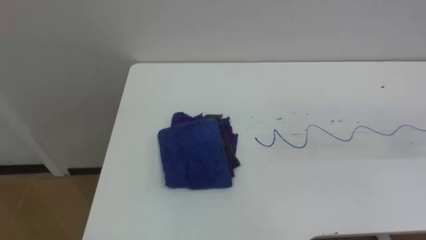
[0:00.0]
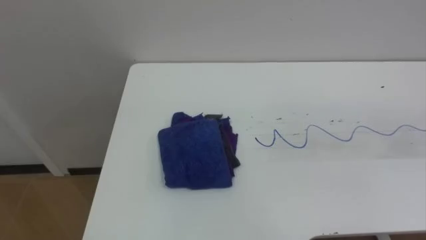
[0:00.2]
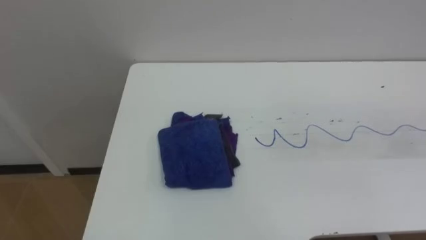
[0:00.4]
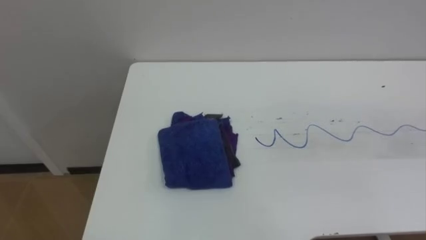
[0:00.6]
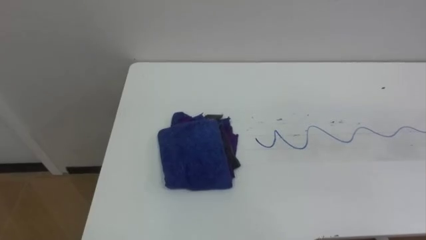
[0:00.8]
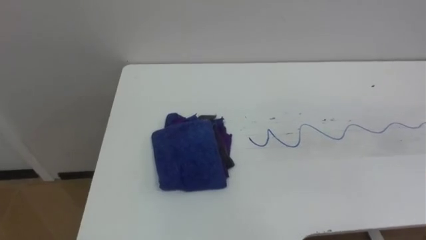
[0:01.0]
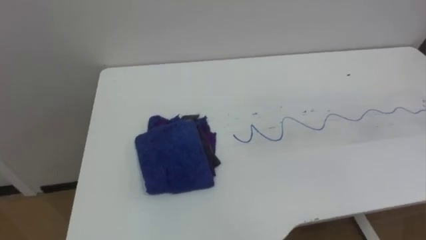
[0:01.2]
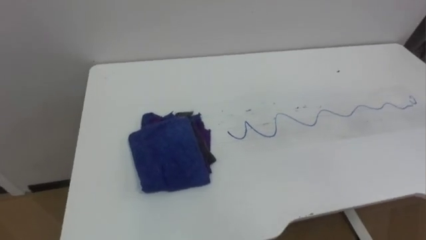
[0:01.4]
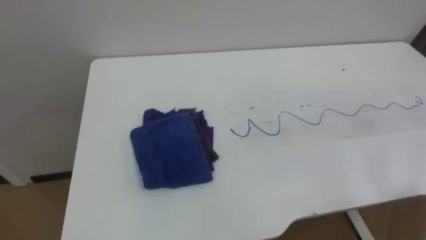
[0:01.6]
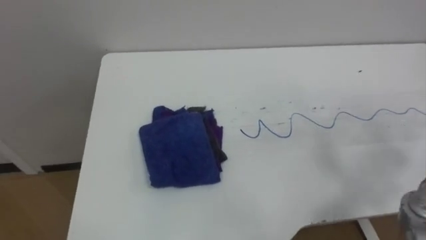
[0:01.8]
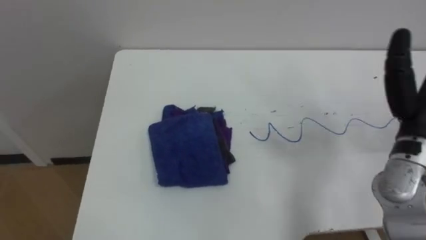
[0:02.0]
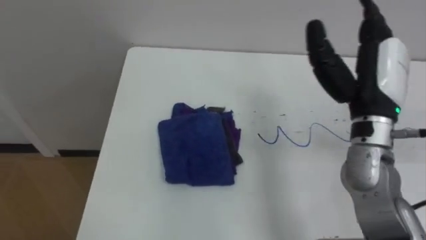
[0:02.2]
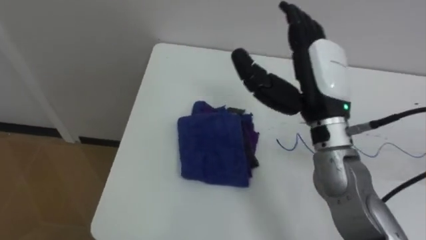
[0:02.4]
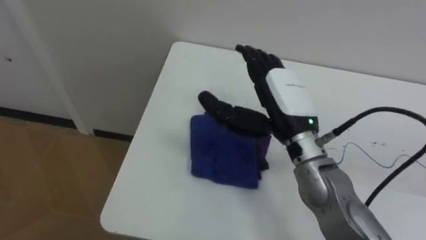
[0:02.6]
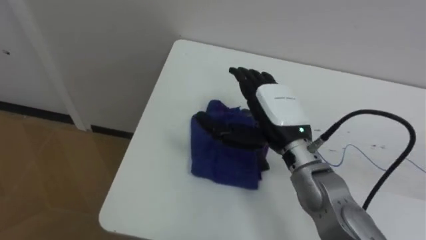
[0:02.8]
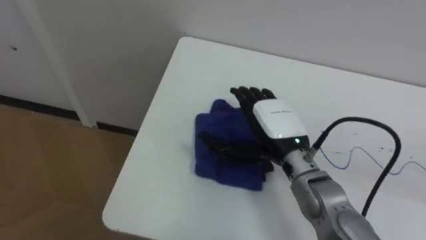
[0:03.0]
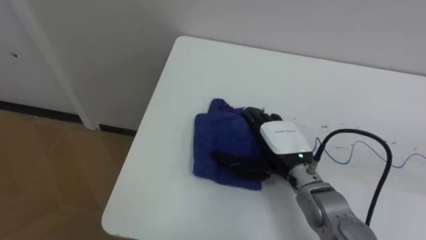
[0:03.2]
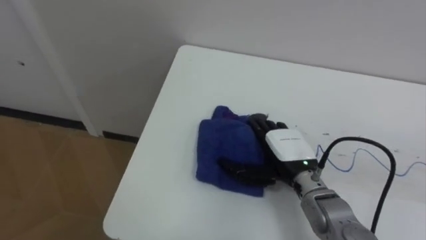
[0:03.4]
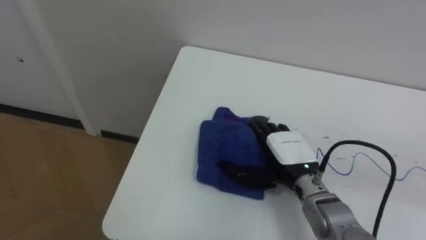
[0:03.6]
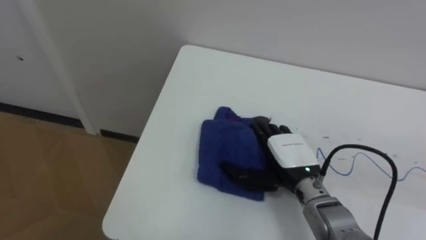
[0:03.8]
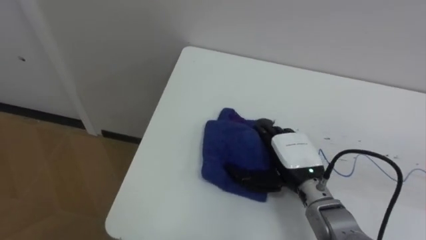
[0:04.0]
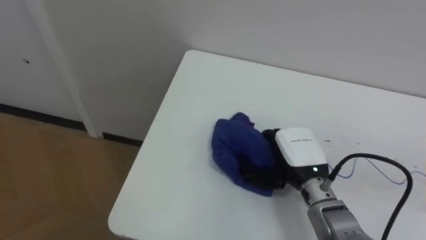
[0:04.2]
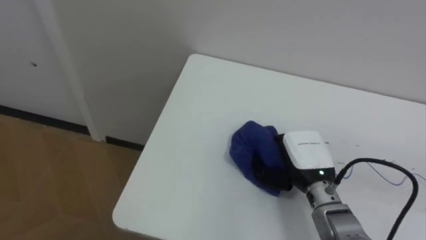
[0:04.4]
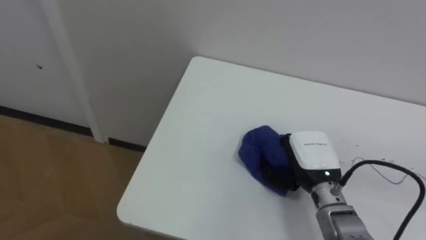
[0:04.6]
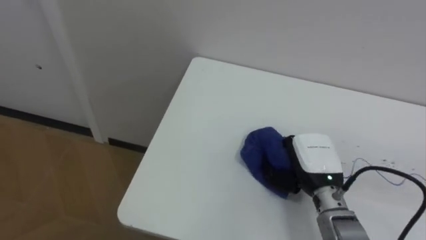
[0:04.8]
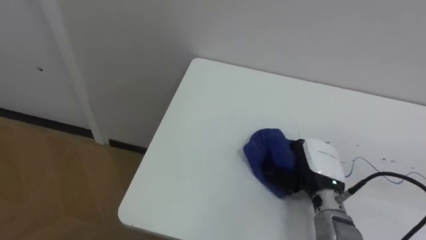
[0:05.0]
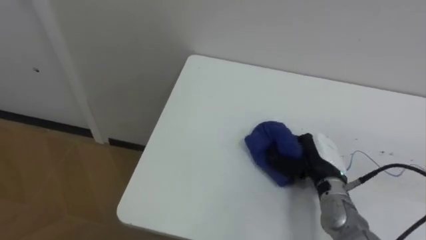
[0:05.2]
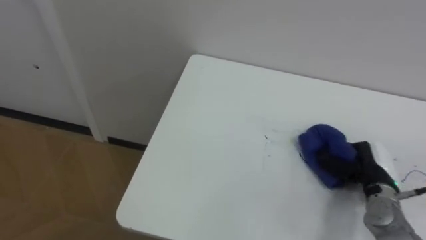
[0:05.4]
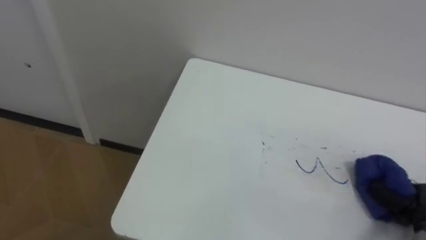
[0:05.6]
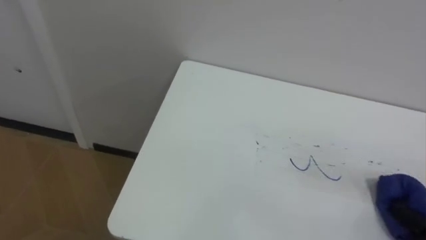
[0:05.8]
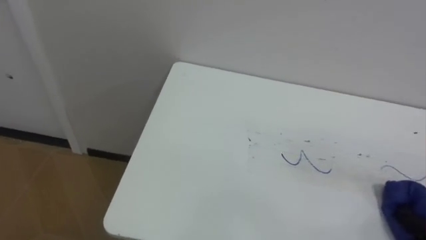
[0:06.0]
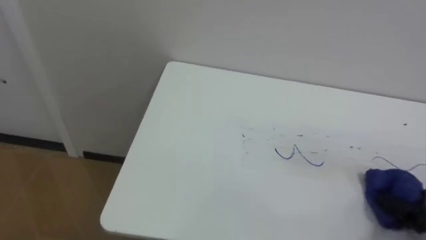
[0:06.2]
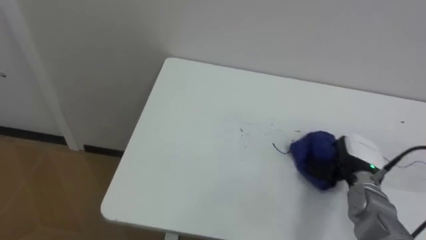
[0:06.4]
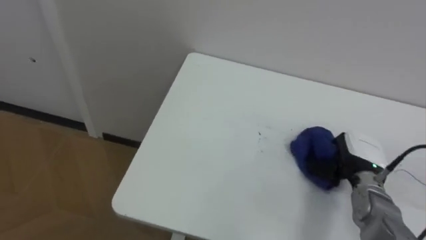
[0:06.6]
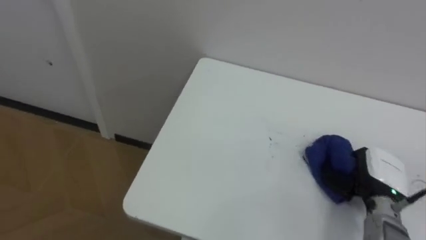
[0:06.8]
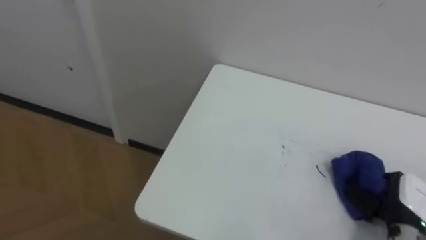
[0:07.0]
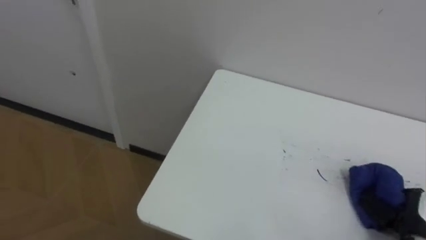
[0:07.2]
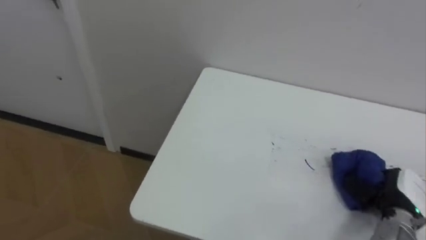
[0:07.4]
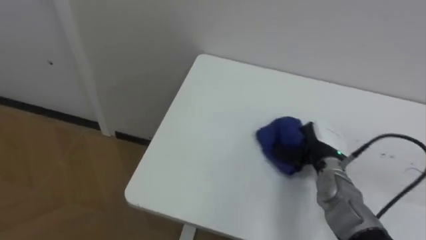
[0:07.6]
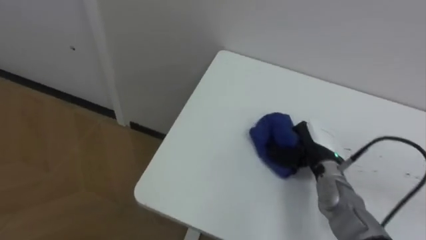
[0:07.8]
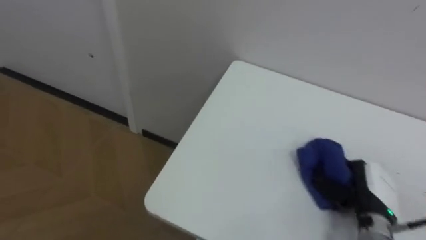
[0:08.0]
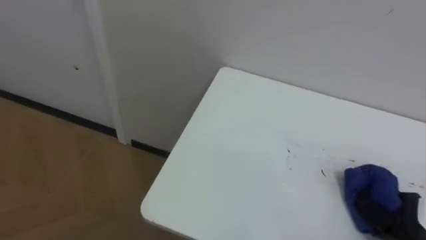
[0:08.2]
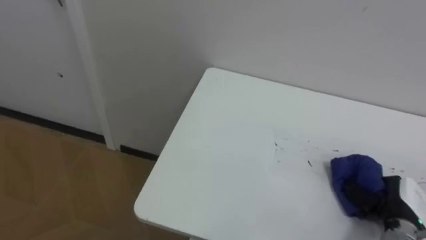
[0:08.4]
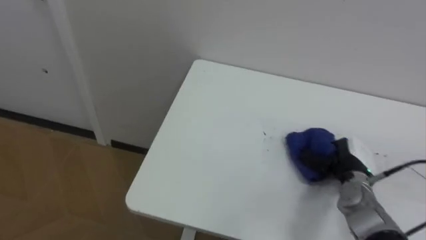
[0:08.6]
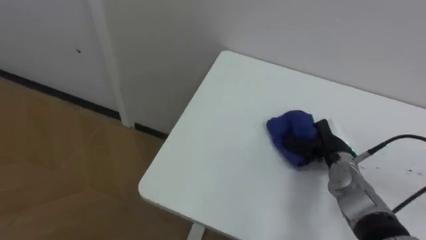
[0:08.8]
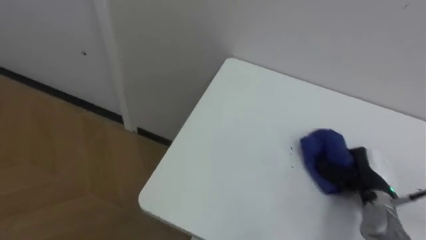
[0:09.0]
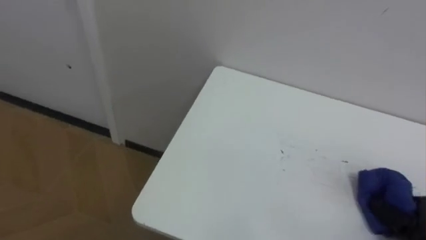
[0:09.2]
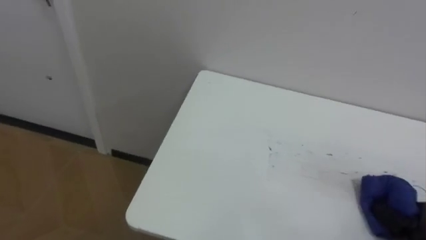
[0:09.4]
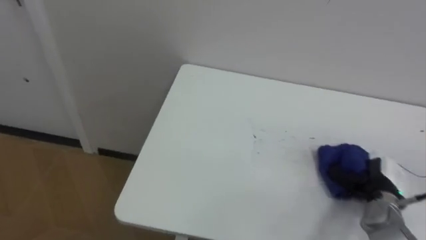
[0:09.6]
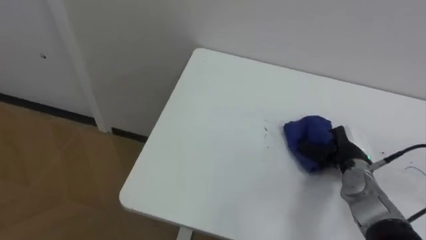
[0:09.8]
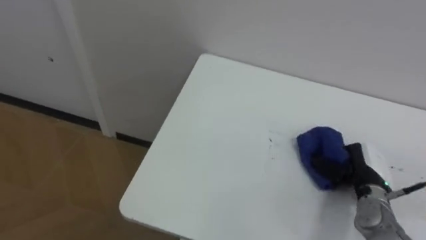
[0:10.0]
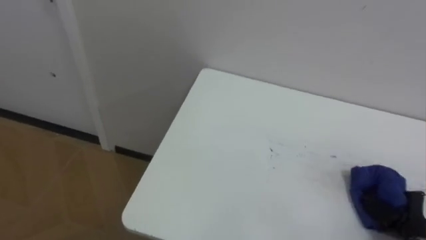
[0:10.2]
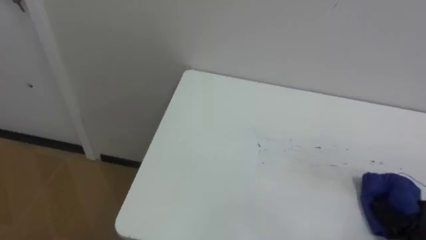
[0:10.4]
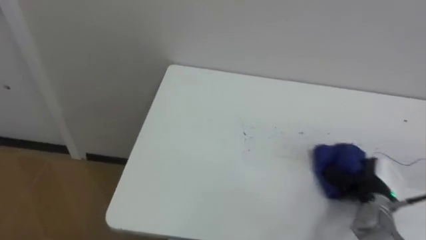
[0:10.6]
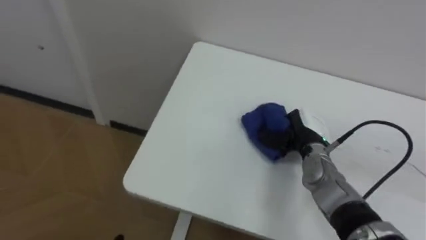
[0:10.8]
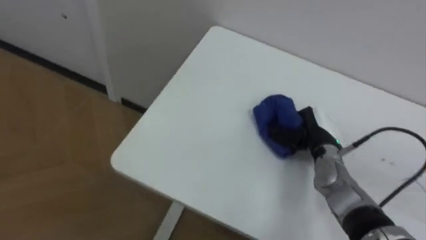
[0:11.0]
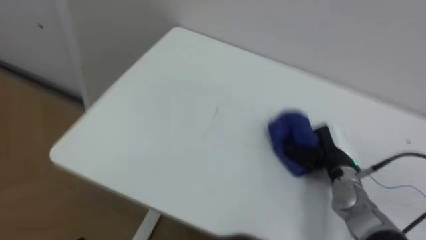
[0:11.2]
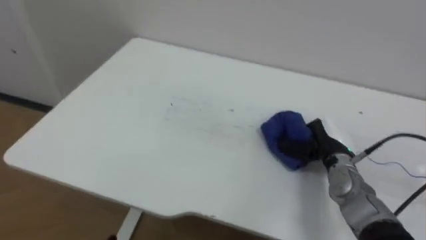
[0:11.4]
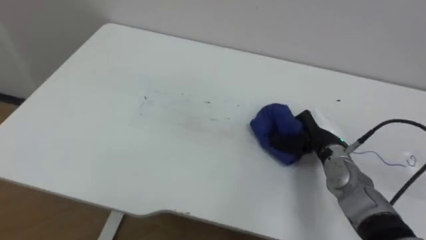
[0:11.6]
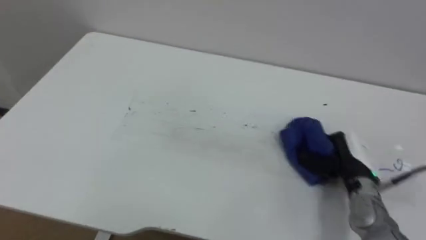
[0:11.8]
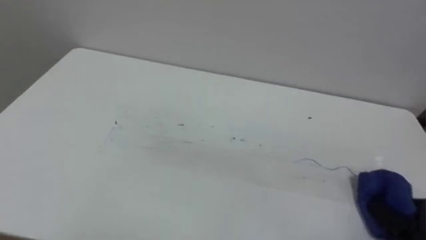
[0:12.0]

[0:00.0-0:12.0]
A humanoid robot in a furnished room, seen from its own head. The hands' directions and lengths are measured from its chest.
Task of the whole recording: Wipe the blue pen marks off the table with the rag.
0:03.0 to 0:04.4: The right hand travels downward and to the right by roughly 10 cm, and closes up.
0:07.6 to 0:09.0: The right hand moves forward and backward over roughly 20 cm, changing direction 2 times.
0:10.4 to 0:12.0: The right hand moves approximately 20 cm to the left and comes back.

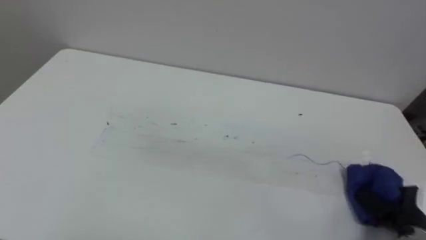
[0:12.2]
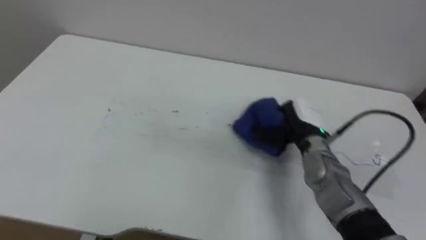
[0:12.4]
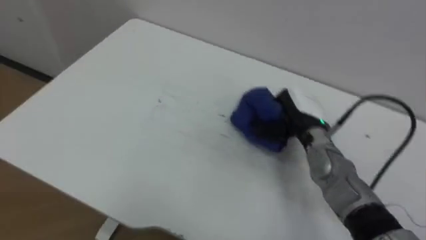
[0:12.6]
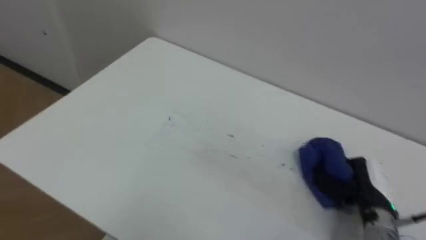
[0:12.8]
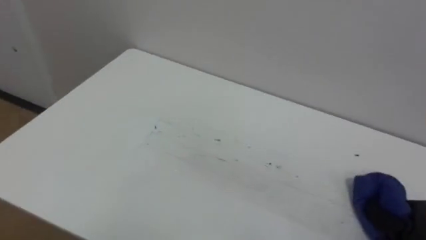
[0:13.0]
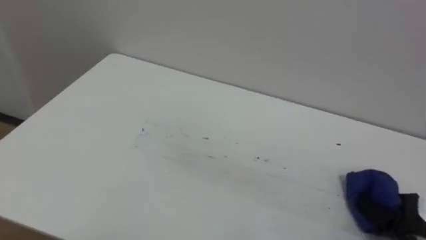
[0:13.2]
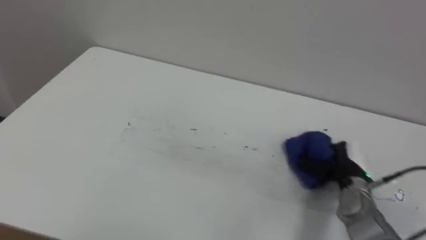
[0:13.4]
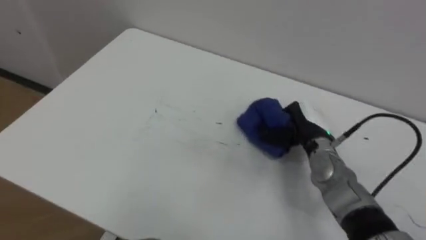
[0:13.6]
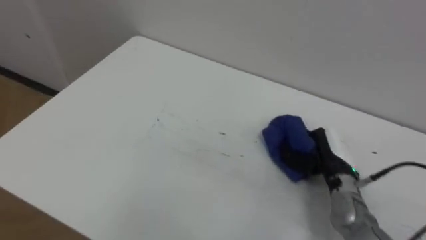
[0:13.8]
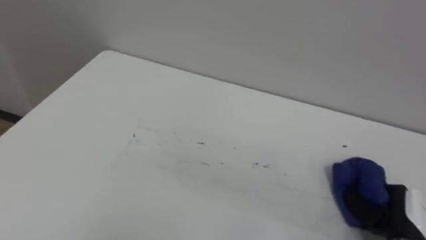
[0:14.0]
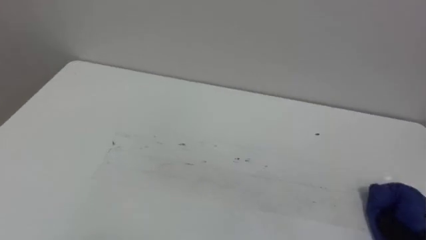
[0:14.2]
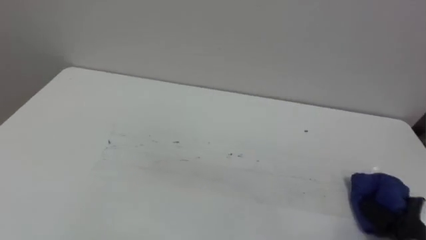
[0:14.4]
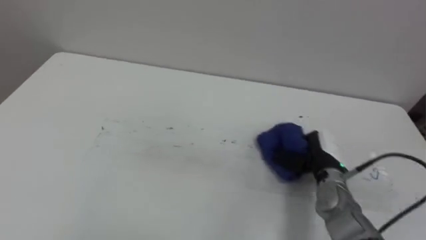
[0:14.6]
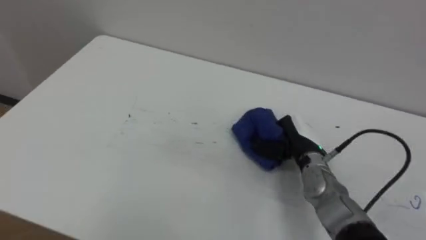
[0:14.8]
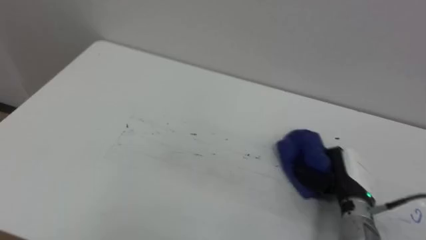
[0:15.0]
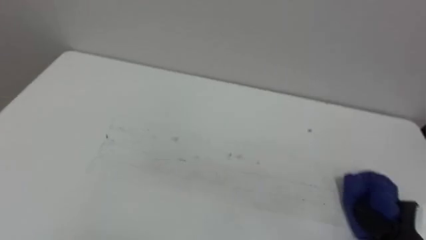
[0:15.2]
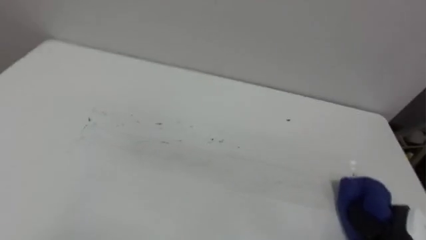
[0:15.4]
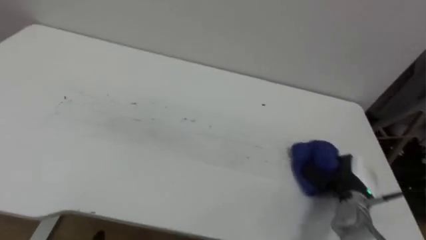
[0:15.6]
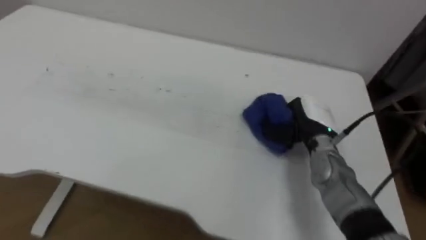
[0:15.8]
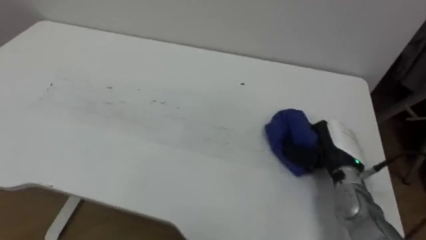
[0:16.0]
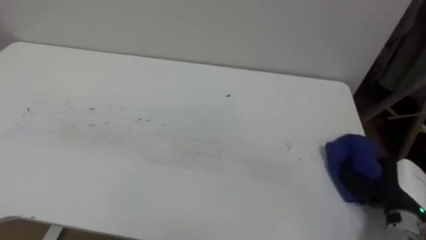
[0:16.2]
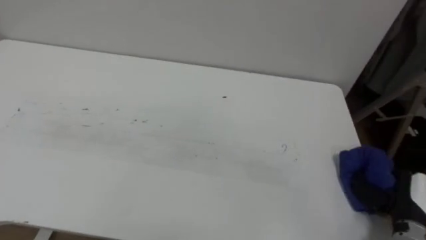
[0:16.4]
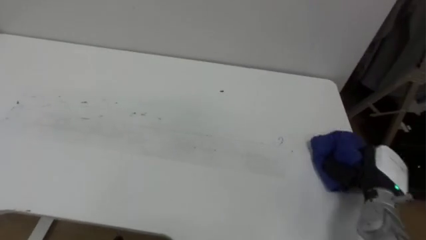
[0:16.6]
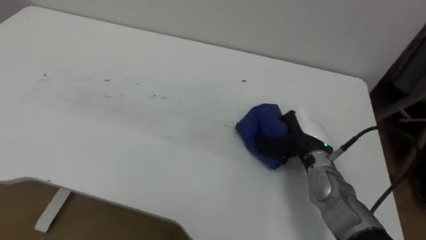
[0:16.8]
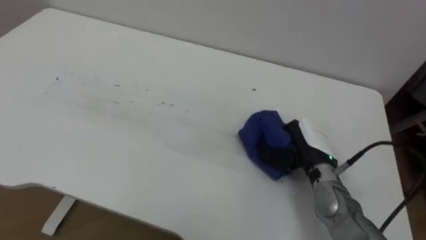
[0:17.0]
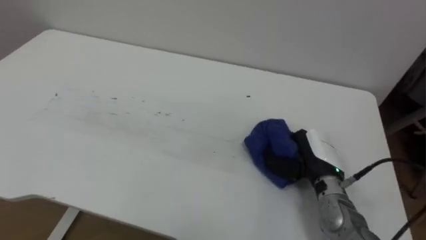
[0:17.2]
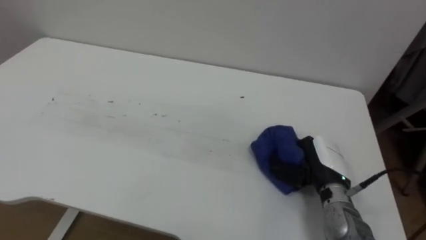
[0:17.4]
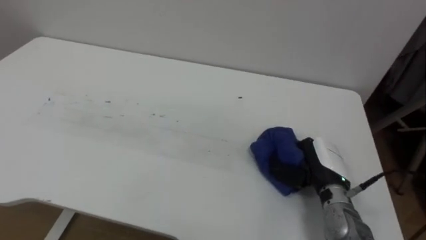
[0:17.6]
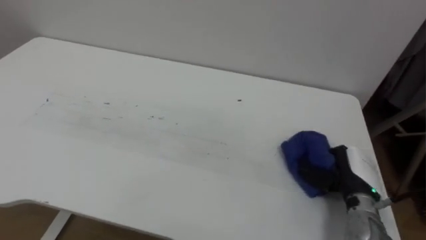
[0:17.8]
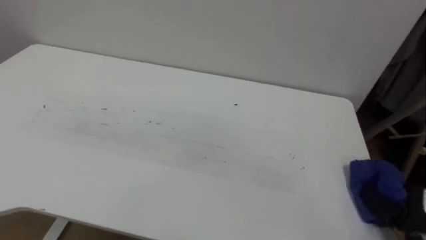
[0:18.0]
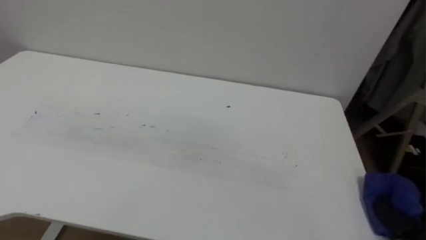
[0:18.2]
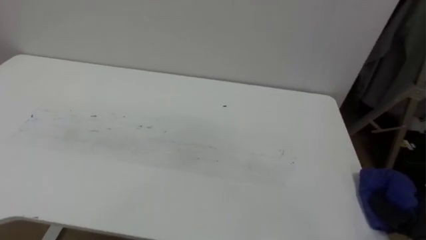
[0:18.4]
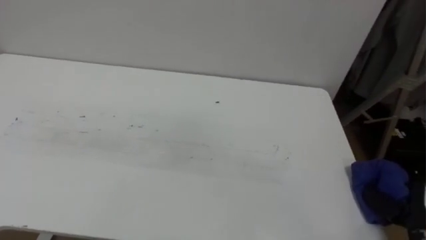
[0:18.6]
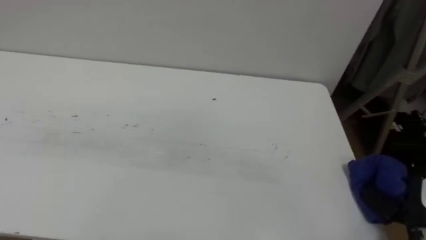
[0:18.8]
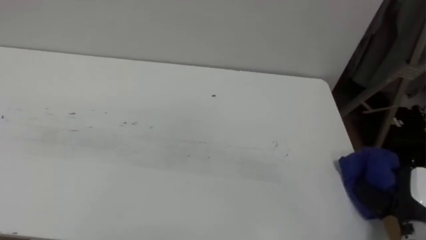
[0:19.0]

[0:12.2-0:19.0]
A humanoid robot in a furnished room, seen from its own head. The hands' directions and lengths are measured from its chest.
Task of the whole recording: Wipe the blue pen marks off the table with the rag.
0:12.2 to 0:13.6: The right hand swings forward and backward, approximately 20 cm each way, with 2 reversals.
0:16.2 to 0:17.6: The right hand travels to the left and forward by approximately 15 cm.
0:17.6 to 0:19.0: The right hand shifts roughly 15 cm to the right and backward.
